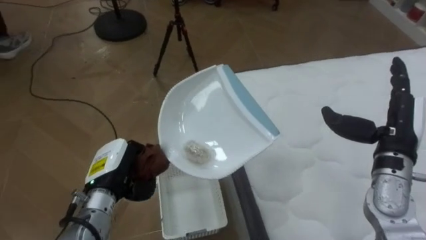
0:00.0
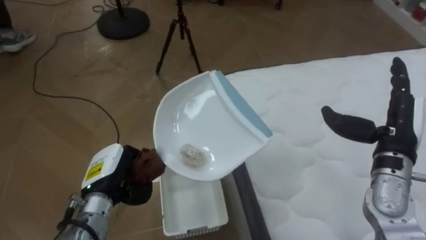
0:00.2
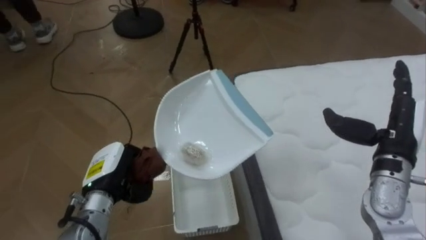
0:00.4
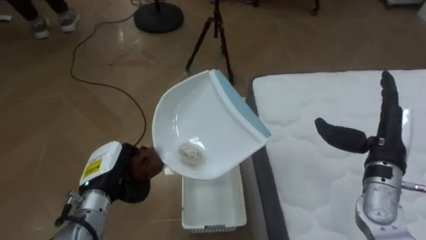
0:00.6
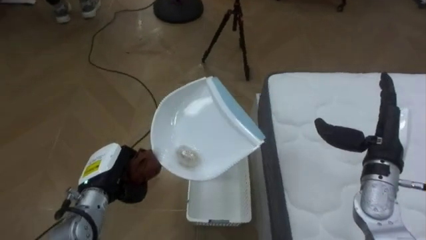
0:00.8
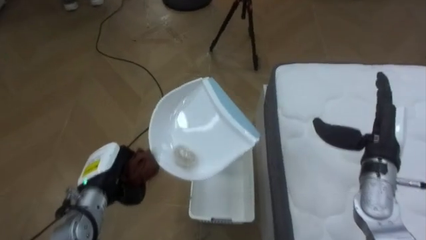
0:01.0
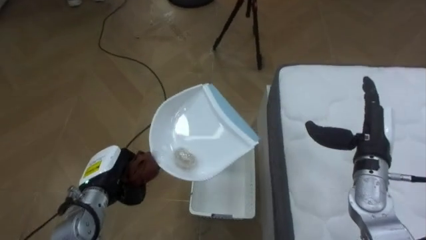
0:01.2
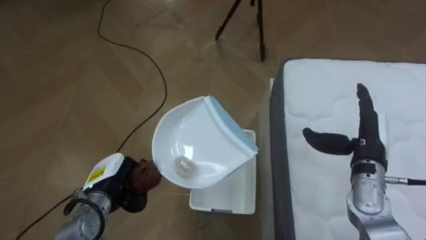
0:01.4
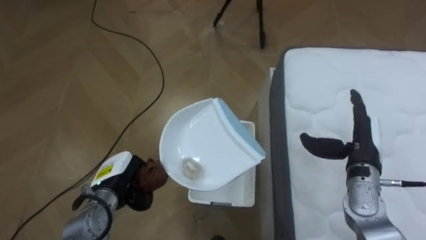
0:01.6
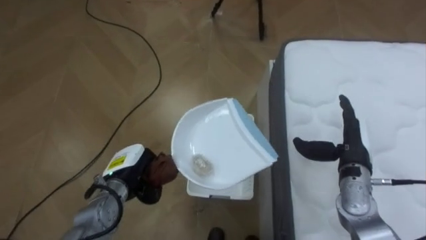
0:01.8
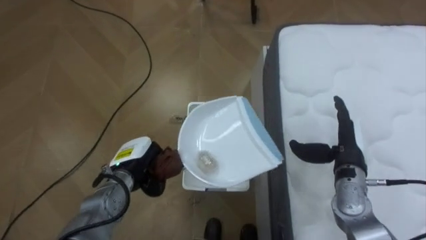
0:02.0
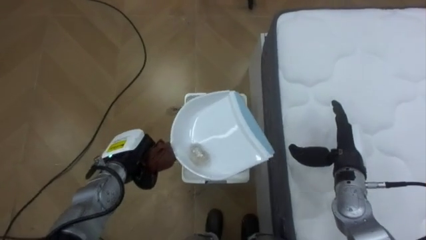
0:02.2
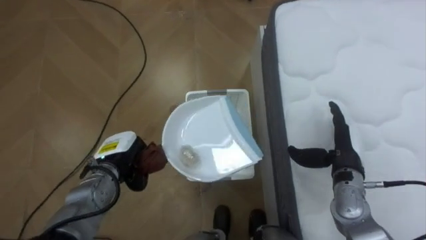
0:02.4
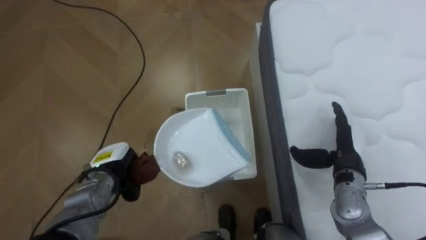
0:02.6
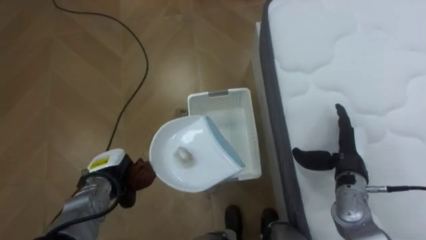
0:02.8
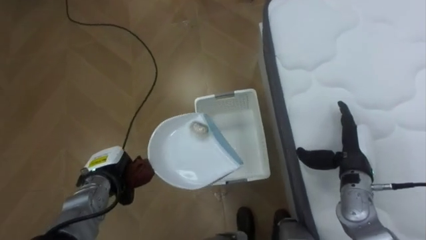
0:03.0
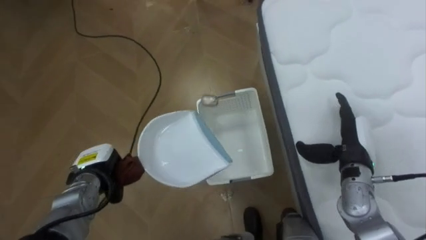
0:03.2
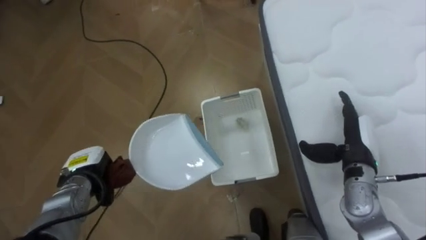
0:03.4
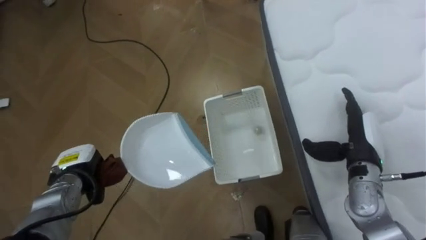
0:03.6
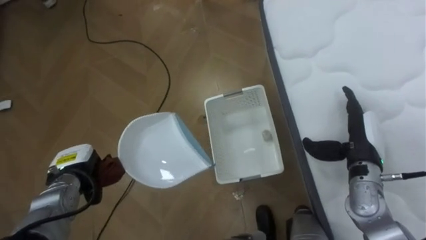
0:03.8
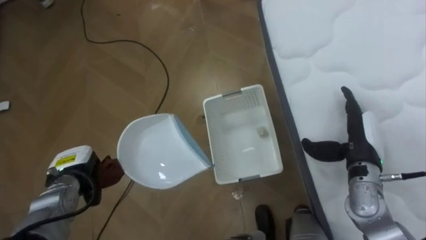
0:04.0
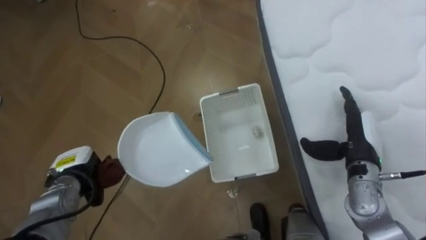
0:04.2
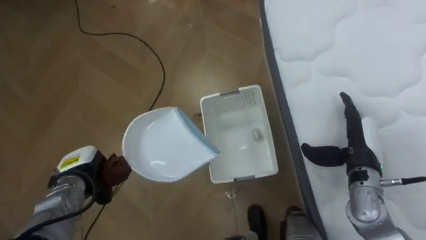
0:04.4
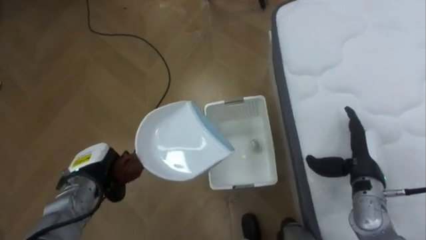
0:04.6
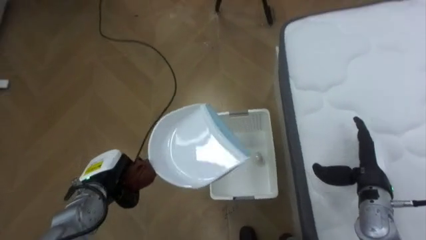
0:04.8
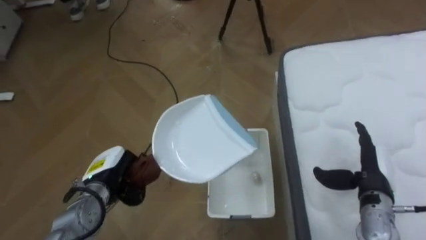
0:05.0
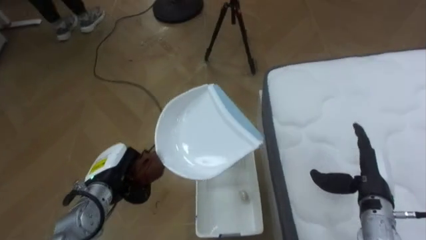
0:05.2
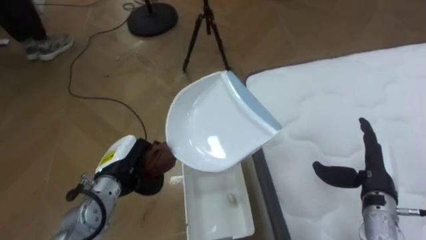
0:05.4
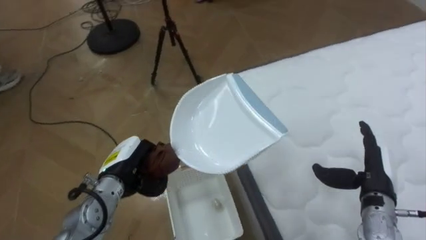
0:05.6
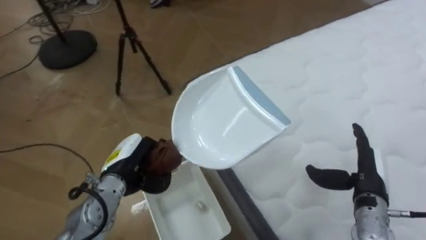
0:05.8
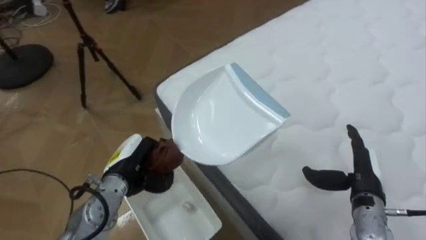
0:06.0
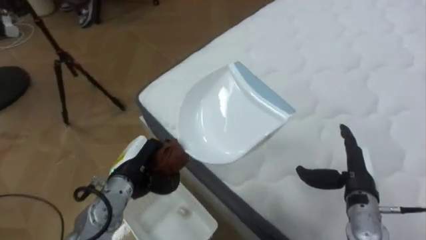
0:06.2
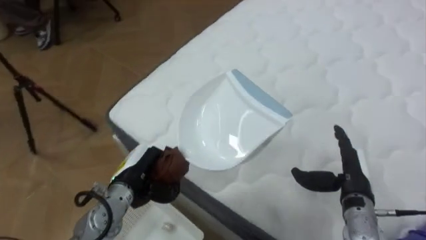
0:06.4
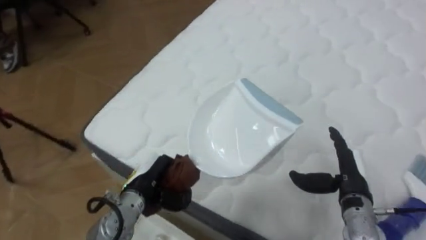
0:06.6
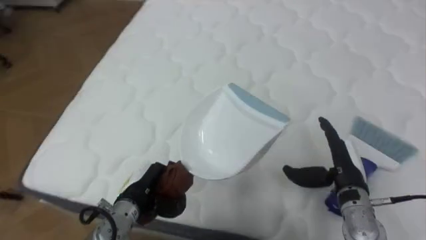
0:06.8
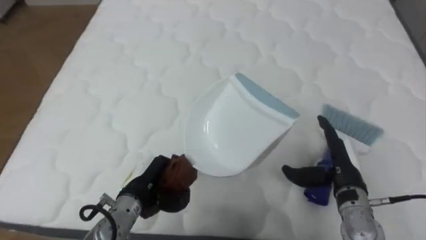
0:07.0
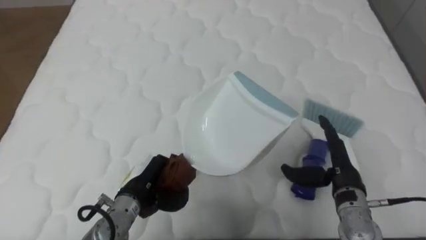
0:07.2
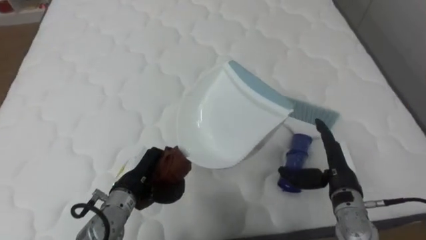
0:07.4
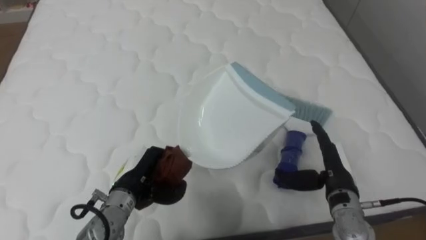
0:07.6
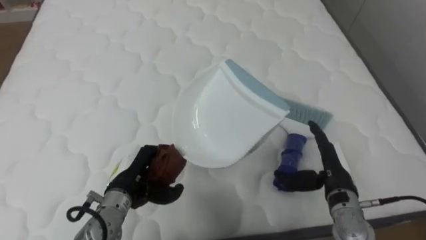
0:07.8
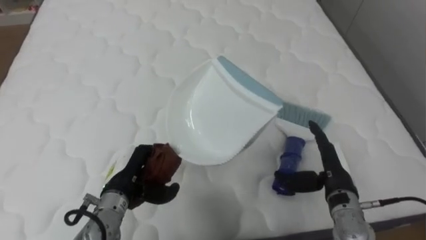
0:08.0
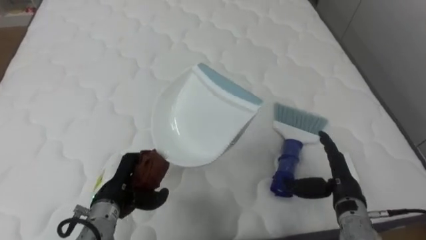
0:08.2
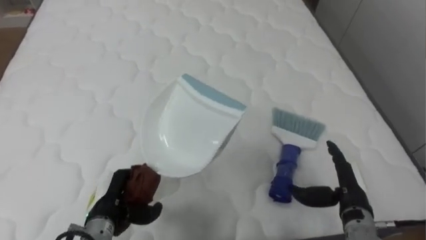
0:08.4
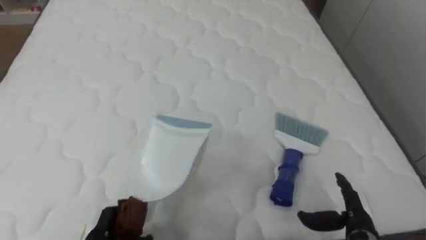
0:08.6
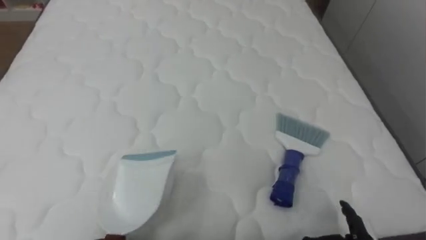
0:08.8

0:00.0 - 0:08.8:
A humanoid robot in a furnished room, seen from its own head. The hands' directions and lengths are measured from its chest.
Task of the whole recording: Pick up the brush on your right and the dustpan on your left. Use the brush to sweep the crumpled paper on the bed into the dustpan, then turn left and empty it into the basket.
0:00.0 - 0:01.4: The robot rotates approximately 20 degrees to its left. Both hands travel together downward, approximately 5 cm.
0:03.0 - 0:04.4: The left hand heads to the left, covering some 5 cm.
0:04.4 - 0:05.8: The robot turns to its right by roughly 25 degrees. The left hand heads to the right, covering about 10 cm. Meanwhile the right hand changes place by about 5 cm.
0:05.8 - 0:07.4: The robot turns to its right by about 65 degrees. The right hand goes approximately 5 cm to the left.

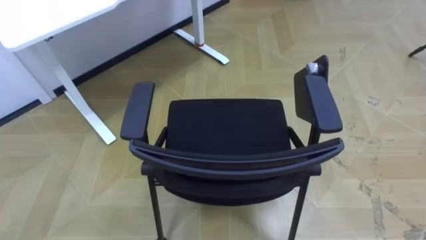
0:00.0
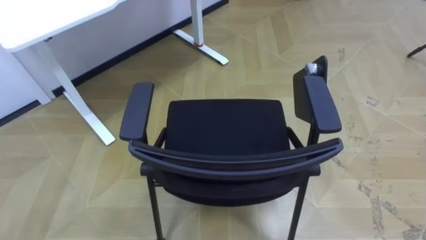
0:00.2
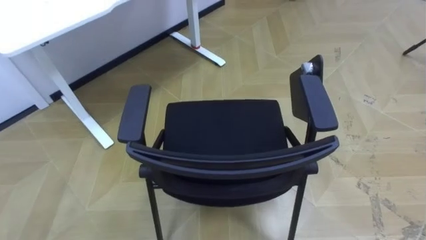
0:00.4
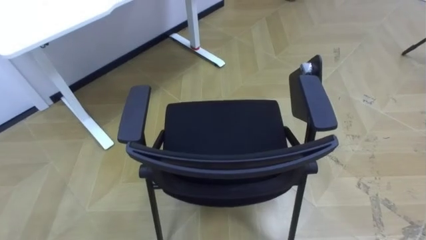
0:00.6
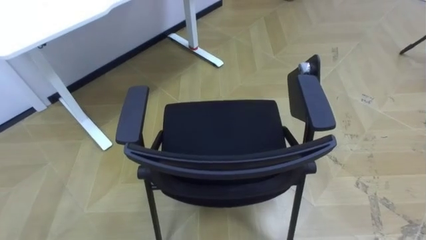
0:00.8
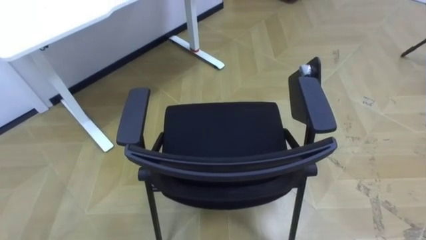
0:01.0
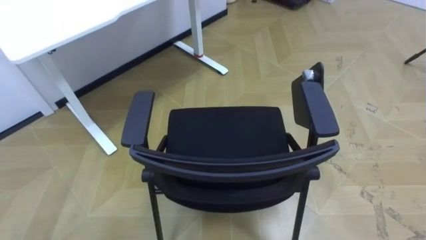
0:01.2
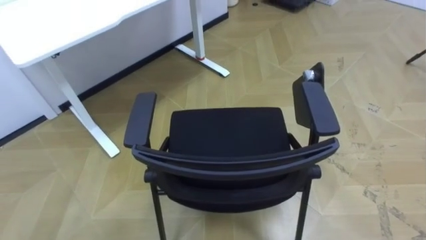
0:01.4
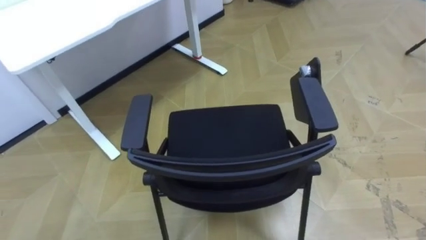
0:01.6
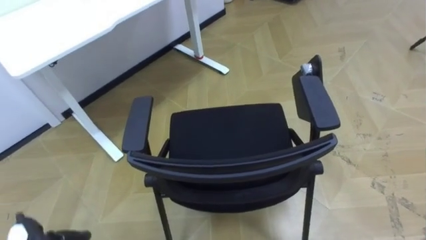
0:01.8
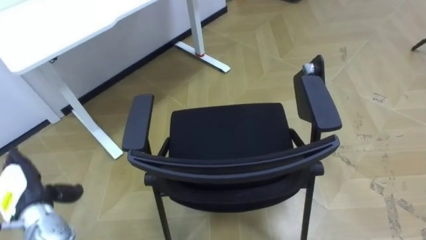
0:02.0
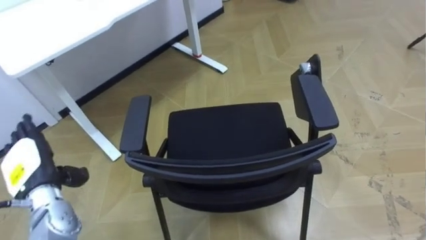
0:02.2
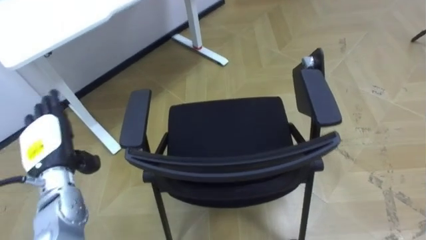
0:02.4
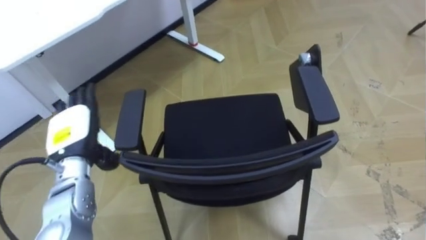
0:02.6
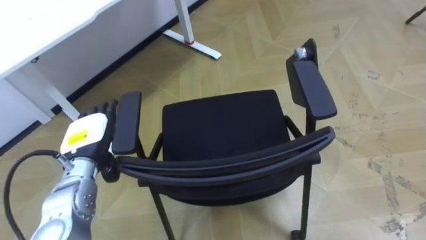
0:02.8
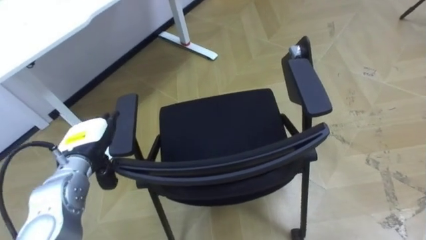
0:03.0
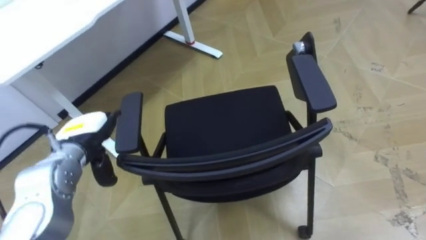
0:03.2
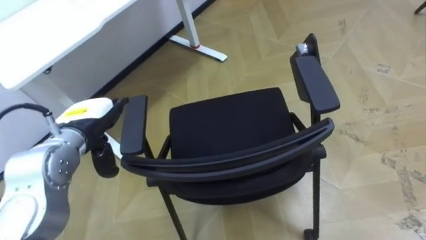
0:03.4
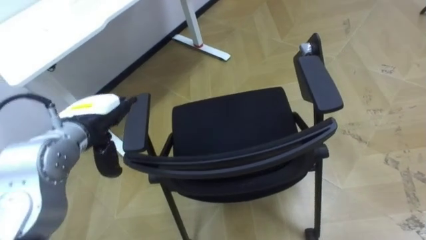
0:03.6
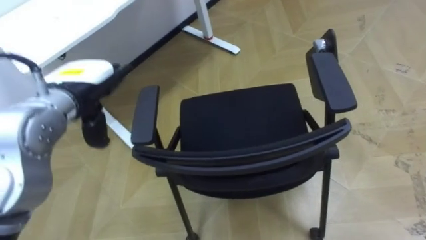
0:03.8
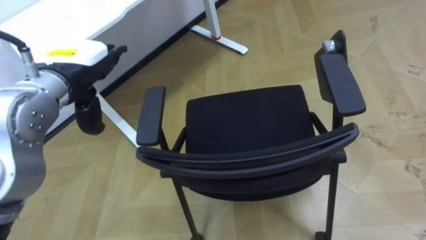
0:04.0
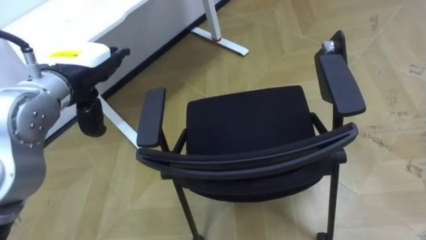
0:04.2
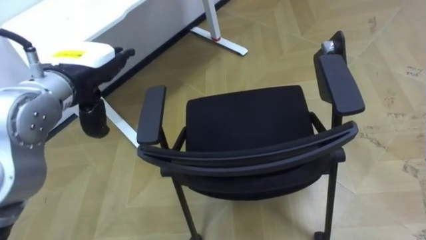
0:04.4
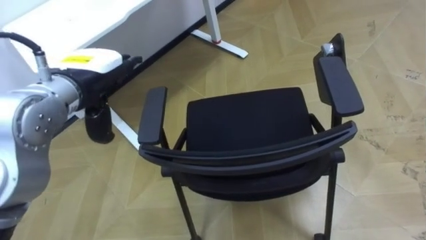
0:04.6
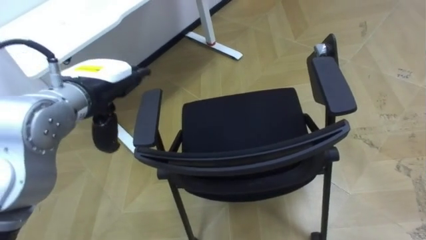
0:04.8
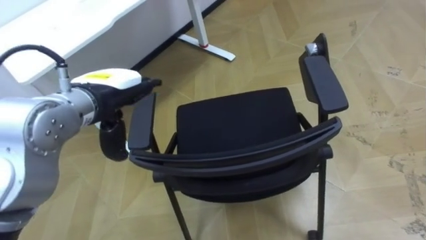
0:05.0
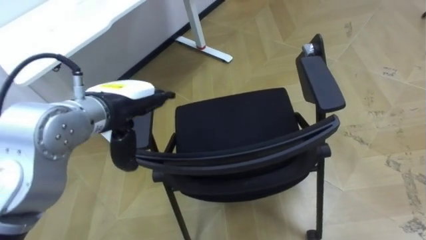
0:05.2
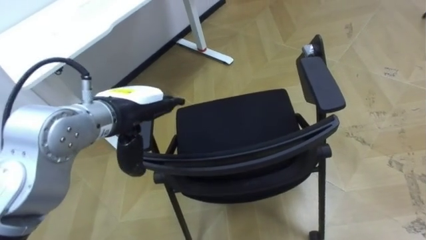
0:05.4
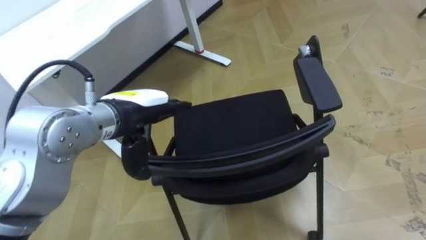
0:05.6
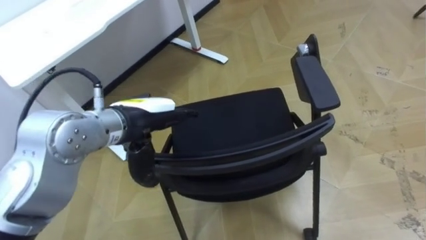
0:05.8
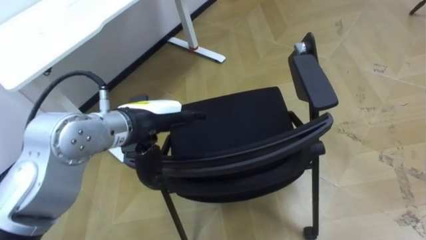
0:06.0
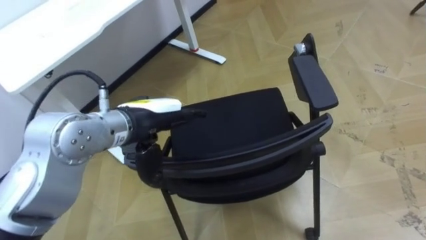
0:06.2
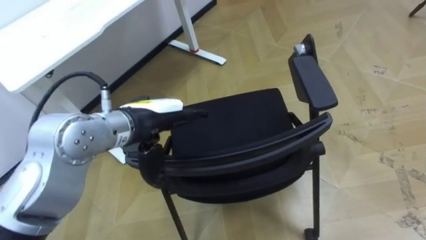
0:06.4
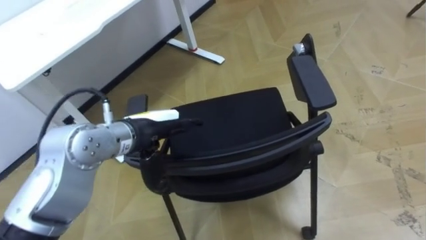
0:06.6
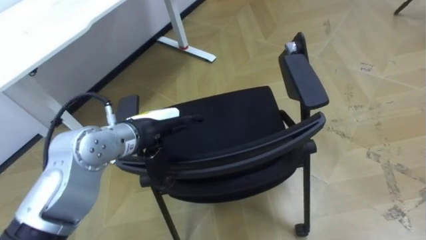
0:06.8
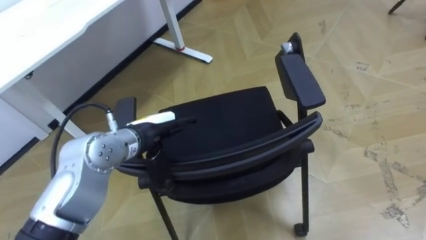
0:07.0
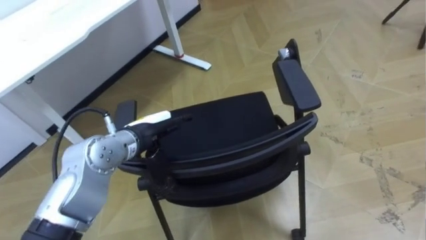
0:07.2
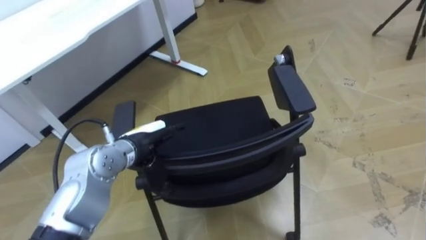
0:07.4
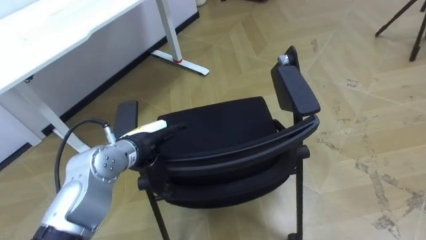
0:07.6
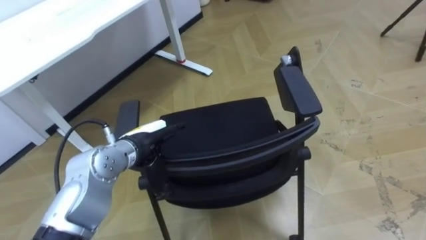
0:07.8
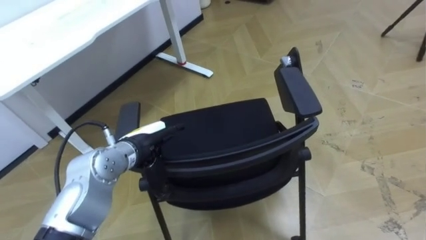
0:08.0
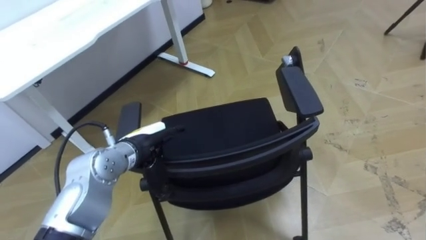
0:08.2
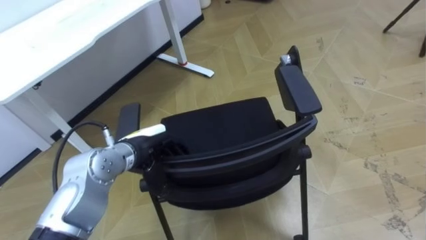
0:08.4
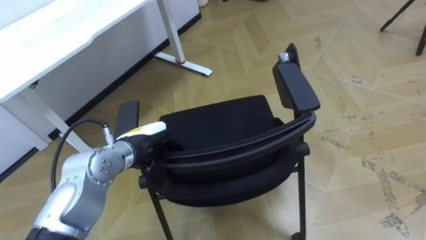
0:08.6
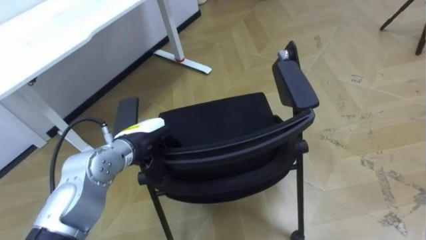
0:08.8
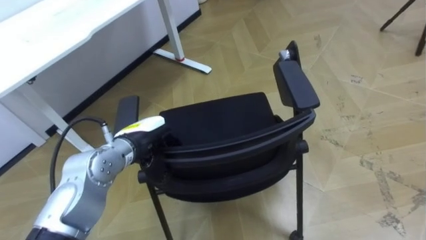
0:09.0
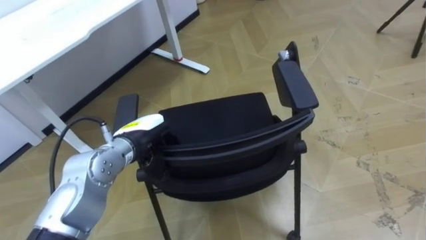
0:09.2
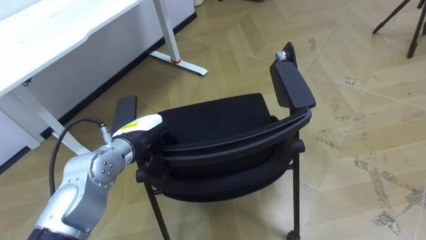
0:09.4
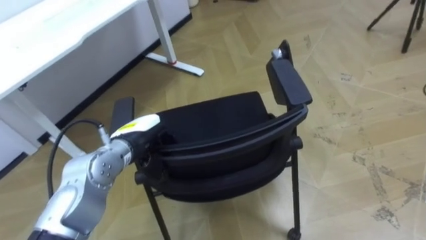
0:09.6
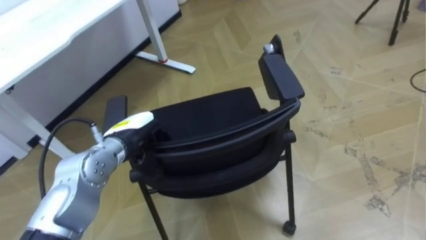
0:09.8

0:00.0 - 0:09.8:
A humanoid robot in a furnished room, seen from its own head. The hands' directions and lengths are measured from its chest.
Task of the whole recording: Push the chair under the table.
0:02.8 - 0:04.2: The left hand goes roughly 15 cm upward.
0:04.2 - 0:05.6: The left hand shifts roughly 10 cm to the right.
0:05.6 - 0:07.0: The left hand is displaced downward by about 10 cm.
